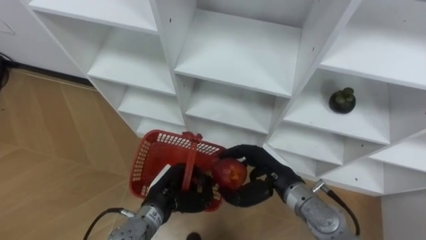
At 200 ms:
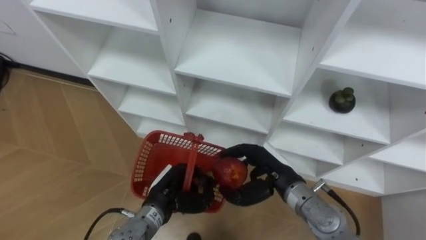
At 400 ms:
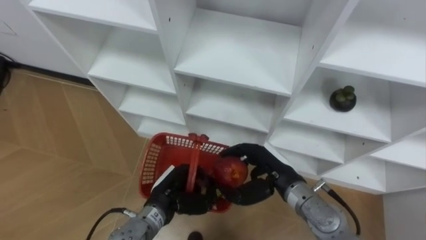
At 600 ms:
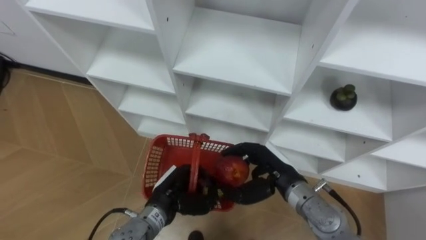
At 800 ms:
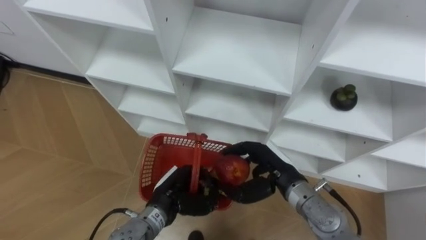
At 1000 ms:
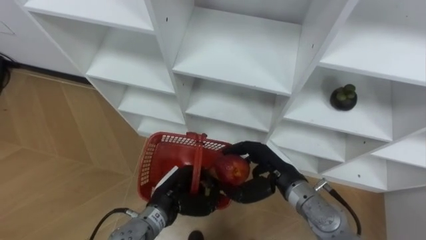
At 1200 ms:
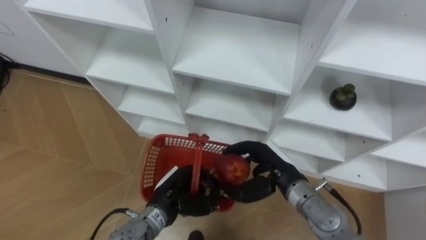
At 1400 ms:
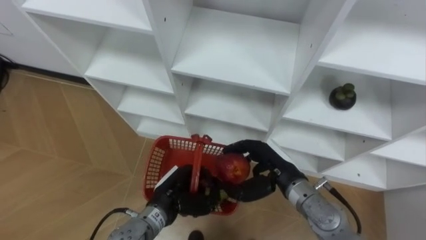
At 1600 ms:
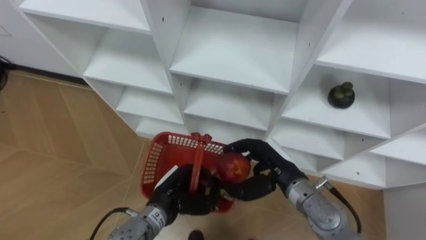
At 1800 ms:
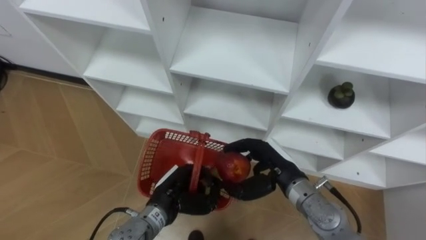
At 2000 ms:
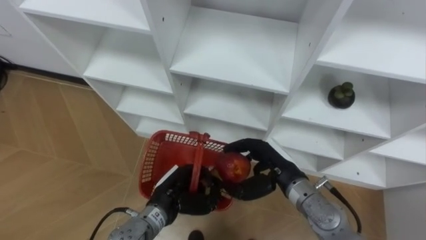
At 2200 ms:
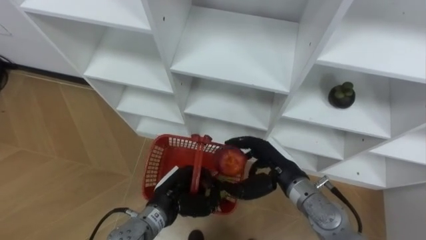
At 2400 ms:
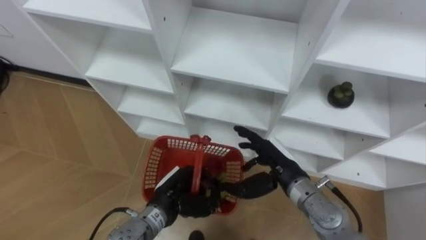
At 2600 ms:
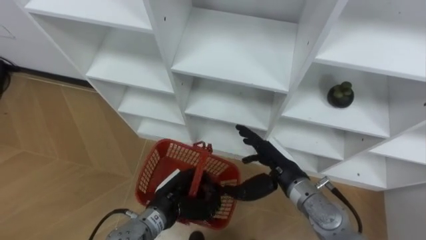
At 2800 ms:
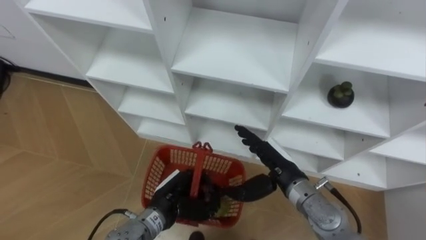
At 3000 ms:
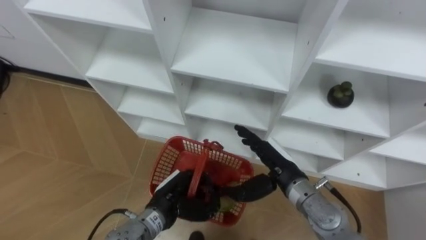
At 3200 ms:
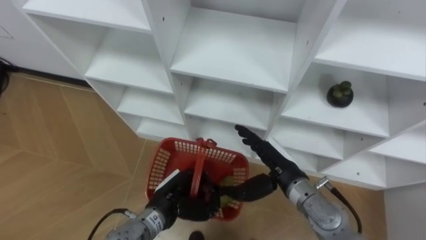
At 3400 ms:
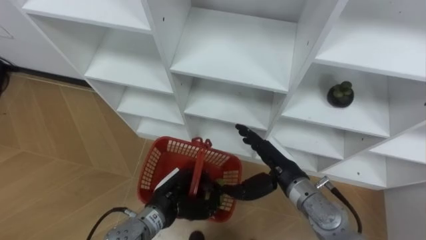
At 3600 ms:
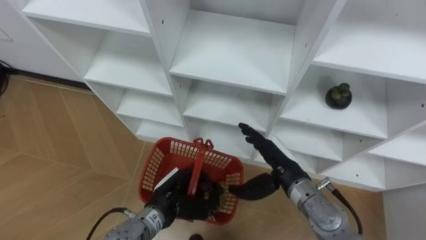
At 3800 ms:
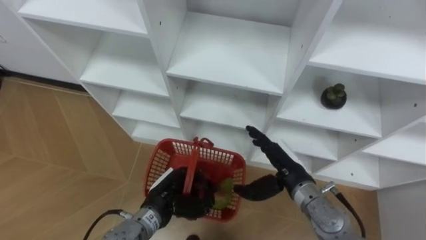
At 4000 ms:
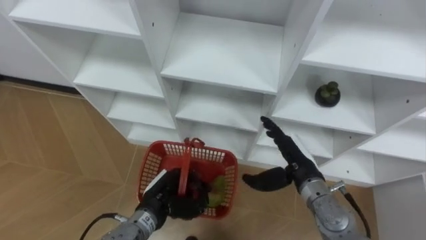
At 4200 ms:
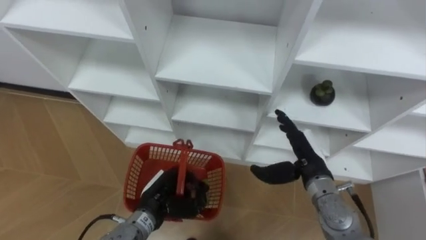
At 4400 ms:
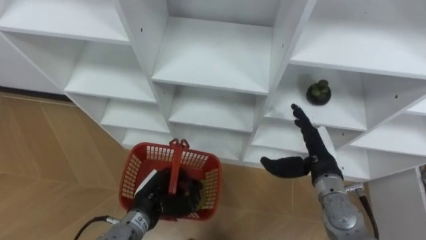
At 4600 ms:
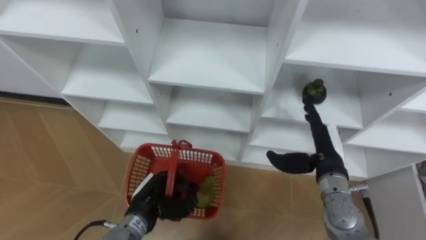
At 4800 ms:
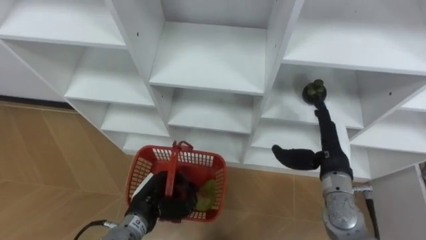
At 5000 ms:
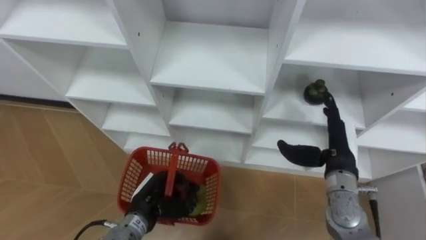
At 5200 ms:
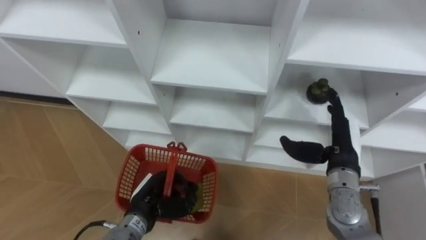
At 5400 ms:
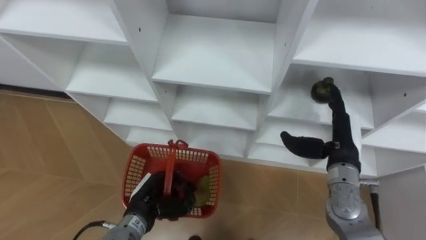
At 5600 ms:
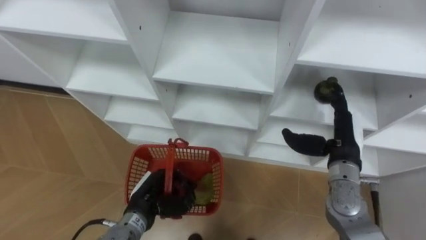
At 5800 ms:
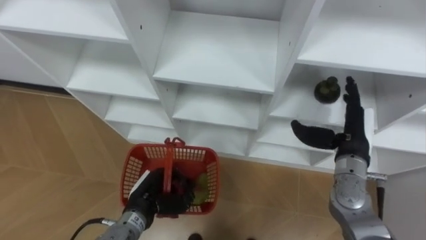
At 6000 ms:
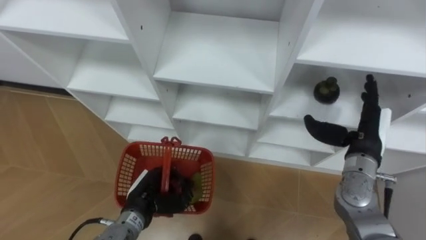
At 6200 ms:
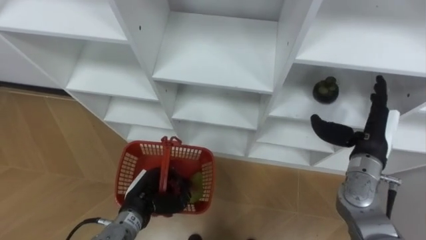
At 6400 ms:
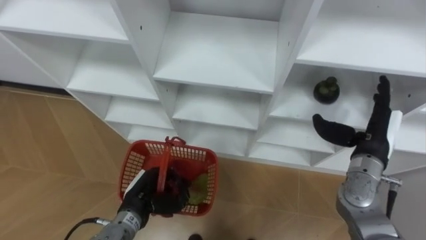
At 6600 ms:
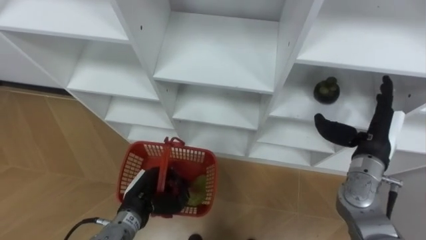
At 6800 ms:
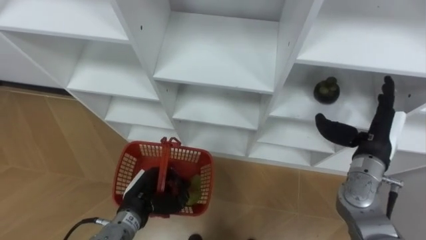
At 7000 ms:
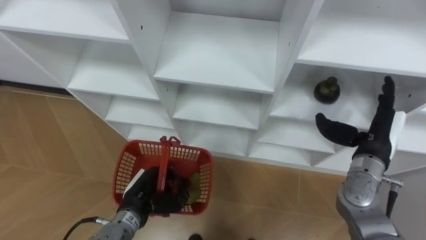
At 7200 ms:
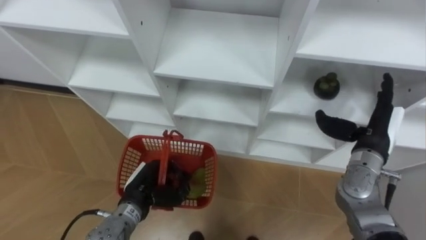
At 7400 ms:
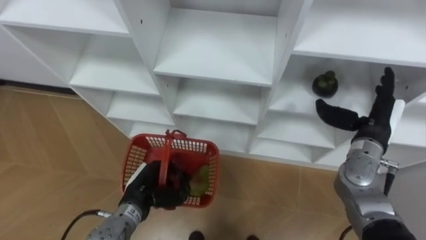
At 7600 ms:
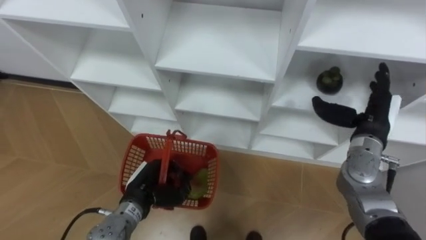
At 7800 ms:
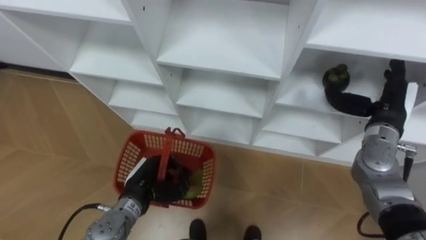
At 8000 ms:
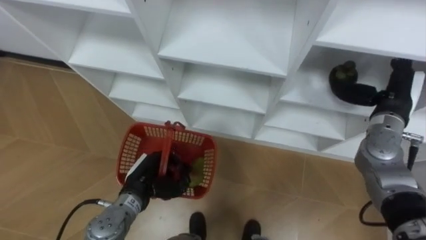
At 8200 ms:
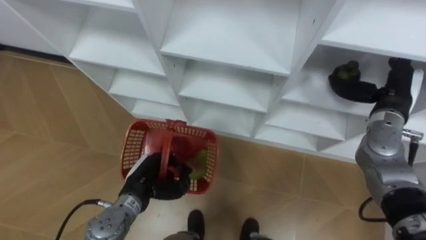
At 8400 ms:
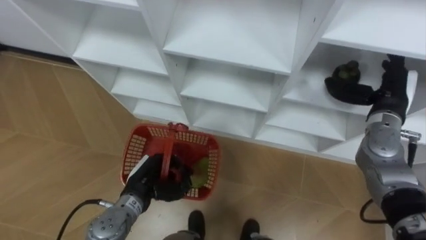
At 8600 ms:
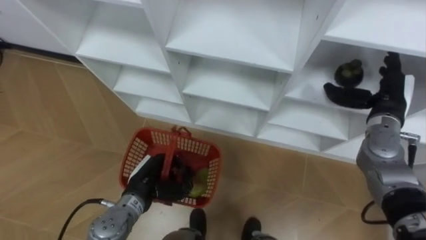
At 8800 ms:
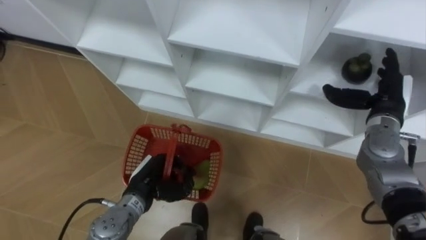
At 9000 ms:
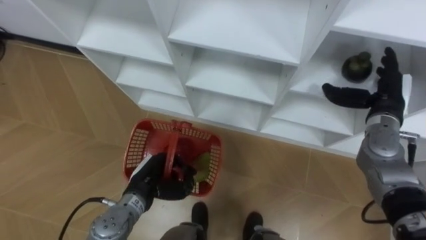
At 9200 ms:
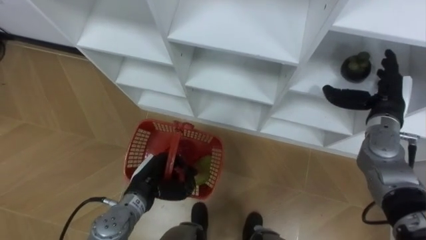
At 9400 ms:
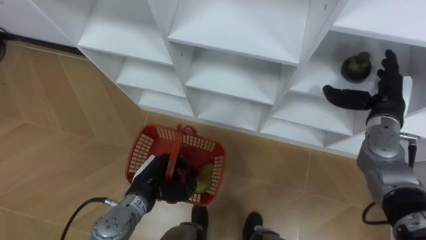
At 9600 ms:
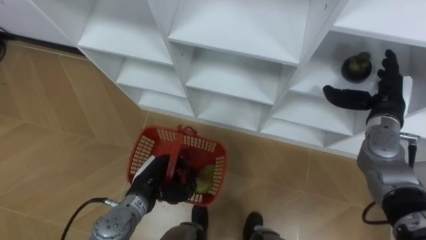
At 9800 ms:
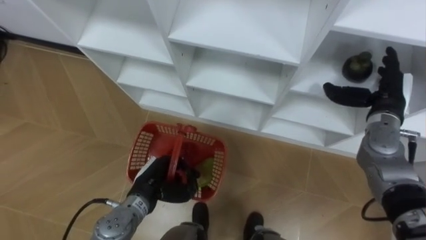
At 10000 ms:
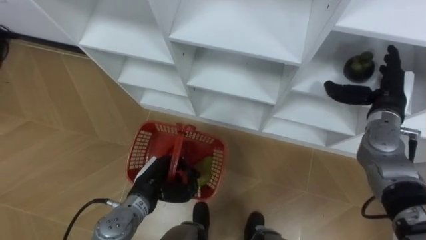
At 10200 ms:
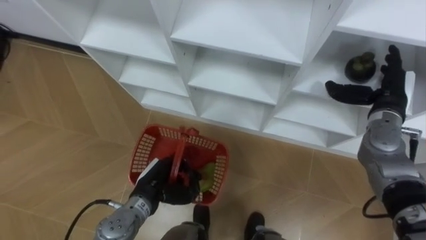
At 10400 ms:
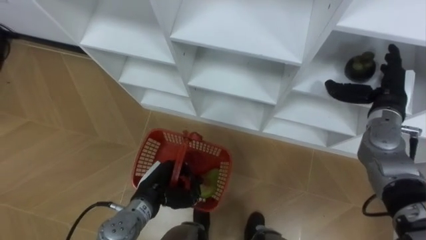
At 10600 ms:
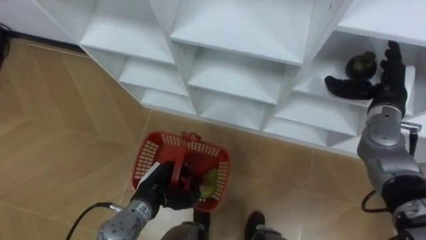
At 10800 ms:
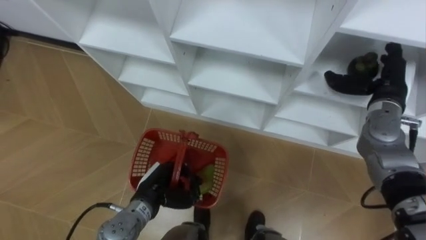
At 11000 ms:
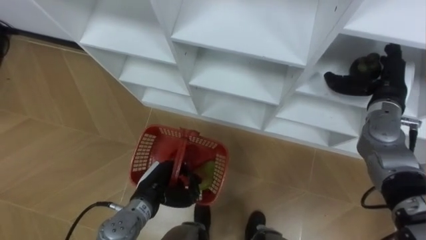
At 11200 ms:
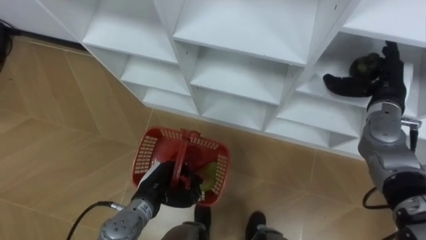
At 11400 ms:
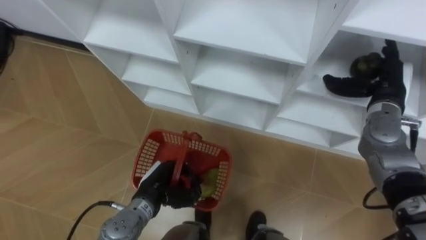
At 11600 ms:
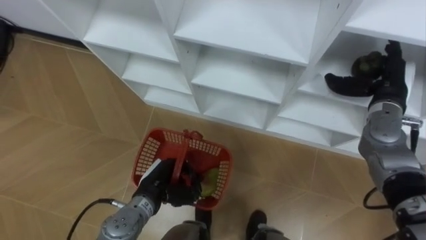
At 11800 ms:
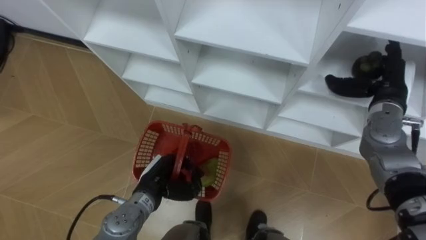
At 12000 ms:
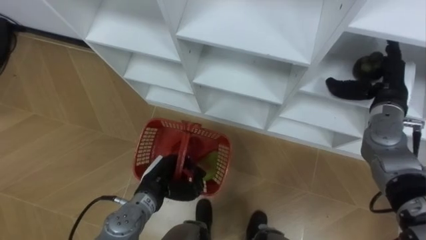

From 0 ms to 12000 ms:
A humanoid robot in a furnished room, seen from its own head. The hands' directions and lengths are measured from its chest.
Task of the whole recording: Hold the basket and collect the fruits from 3 different cells of the closet into it.
From 0 ms to 1600 ms: The hands stay close to where they were, moving slightly.
From 1600 ms to 3000 ms: The right hand opens up.
From 3000 ms to 4400 ms: The right hand shifts about 10 cm to the right.
From 4400 ms to 6000 ms: The right hand goes some 5 cm to the right.
From 10400 ms to 12000 ms: The hands make only small movements.

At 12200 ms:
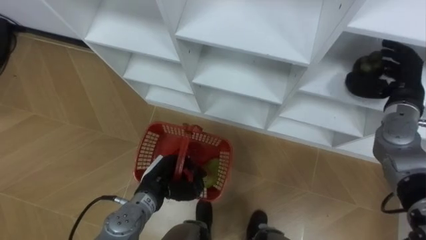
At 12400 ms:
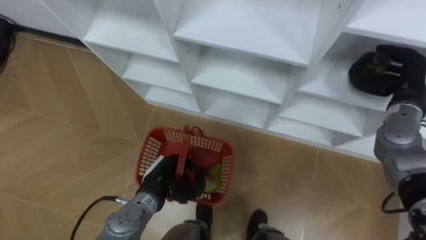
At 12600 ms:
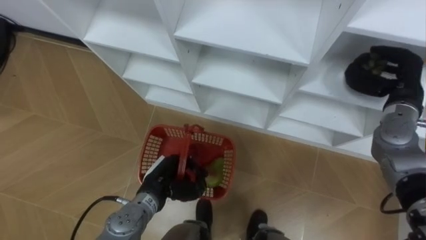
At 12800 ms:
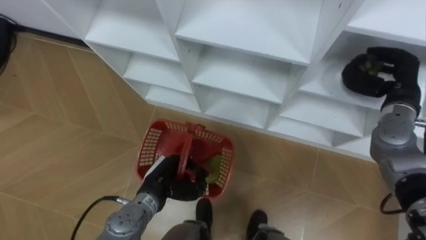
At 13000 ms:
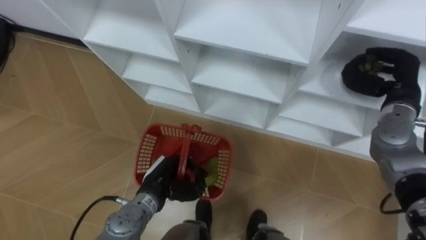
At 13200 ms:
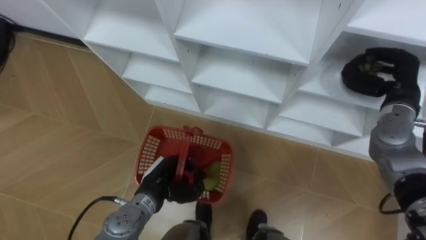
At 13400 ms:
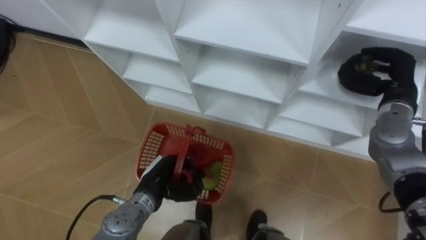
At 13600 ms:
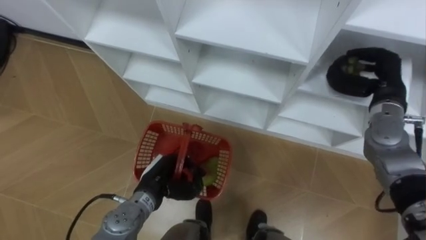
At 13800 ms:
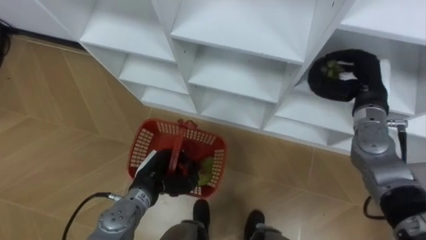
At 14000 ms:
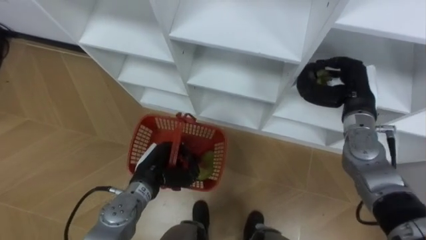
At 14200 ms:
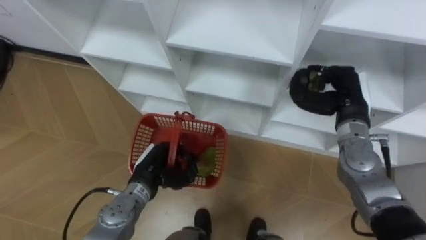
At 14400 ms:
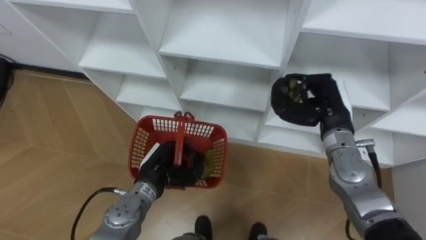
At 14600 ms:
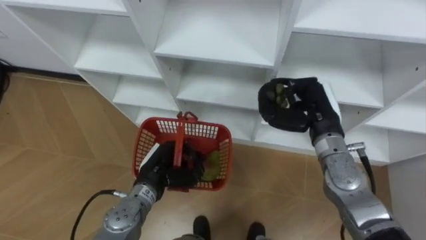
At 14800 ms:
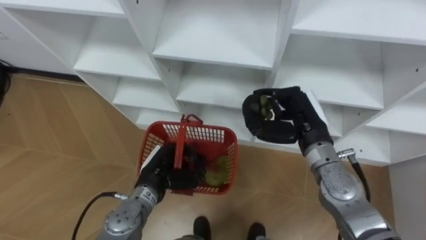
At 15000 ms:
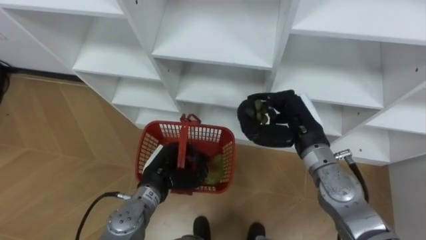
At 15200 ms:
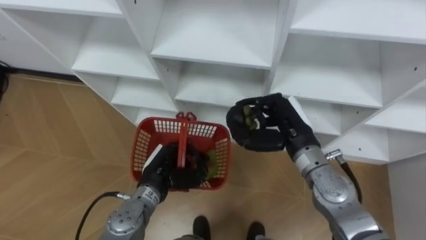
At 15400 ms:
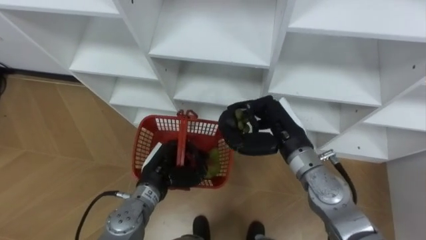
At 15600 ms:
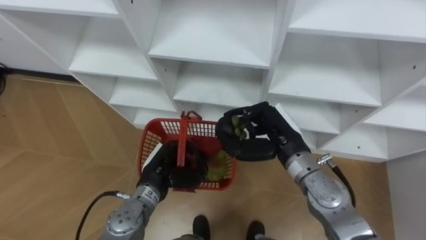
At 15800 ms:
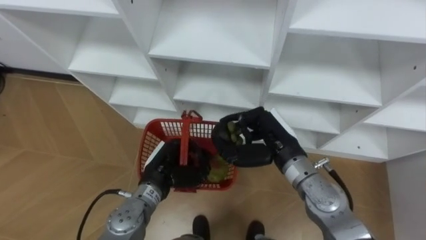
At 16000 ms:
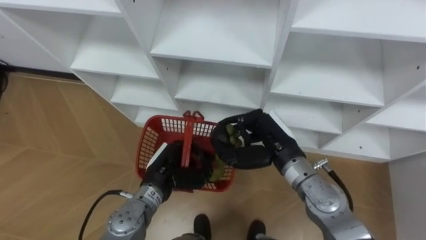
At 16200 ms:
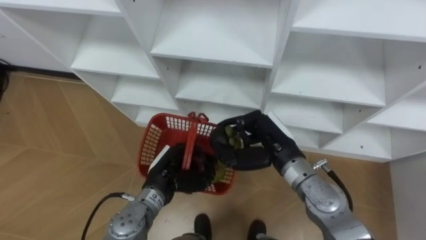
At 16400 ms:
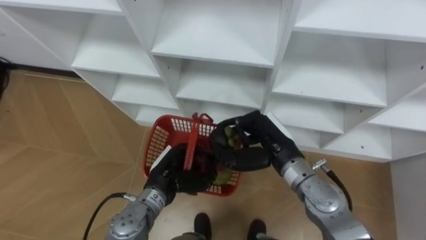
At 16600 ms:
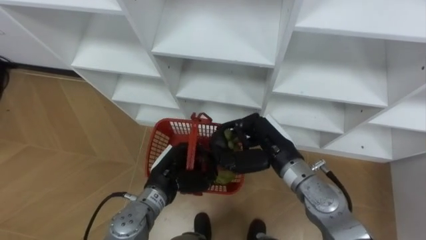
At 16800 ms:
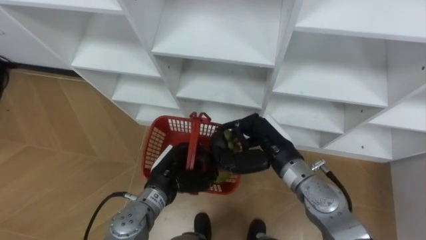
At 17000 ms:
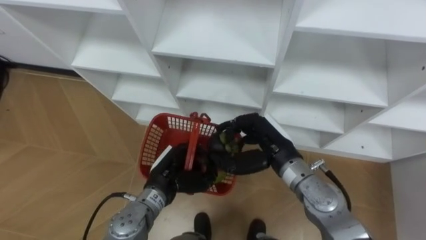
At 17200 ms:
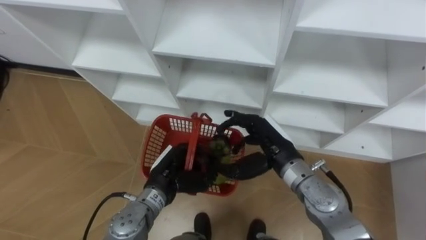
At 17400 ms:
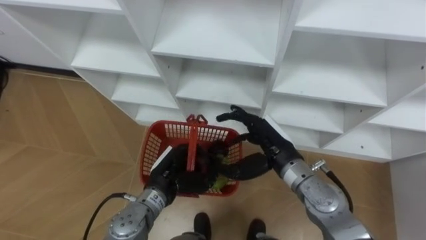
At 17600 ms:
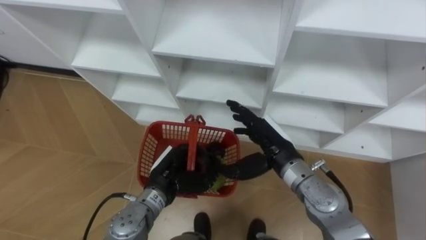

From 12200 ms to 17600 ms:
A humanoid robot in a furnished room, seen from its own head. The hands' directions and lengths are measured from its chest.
Task of the whole recording: Hold the basket and collect the fruits from 3 different cells of the closet into it.
From 12200 ms to 13600 ms: The right hand closes its fingers.
From 13600 ms to 15000 ms: The right hand heads to the left and backward, covering approximately 15 cm.
From 15000 ms to 16200 ms: The right hand travels to the left by roughly 5 cm.
From 16200 ms to 17600 ms: The right hand opens its fingers.
